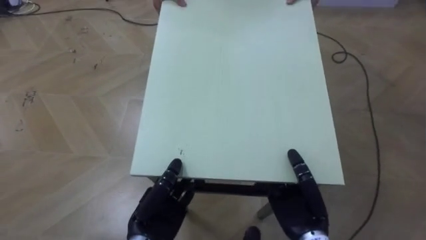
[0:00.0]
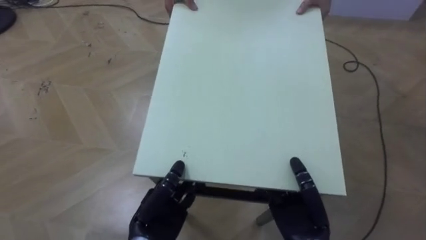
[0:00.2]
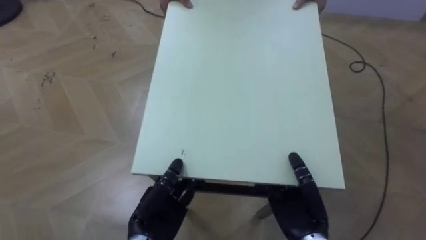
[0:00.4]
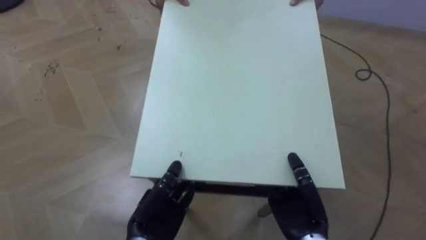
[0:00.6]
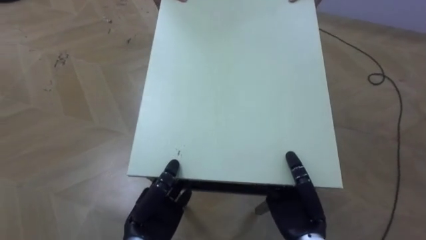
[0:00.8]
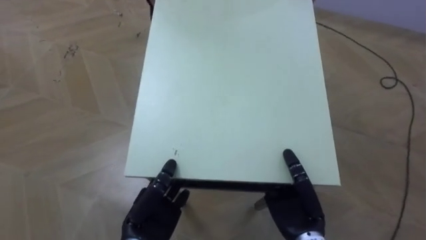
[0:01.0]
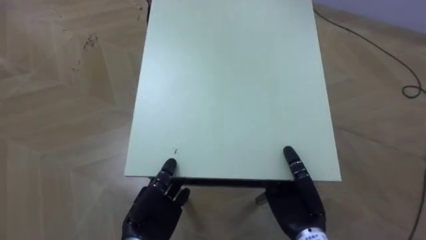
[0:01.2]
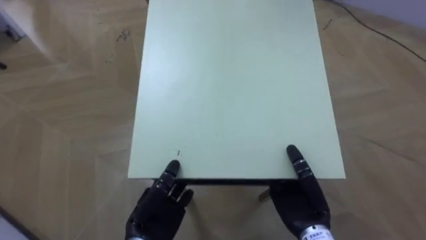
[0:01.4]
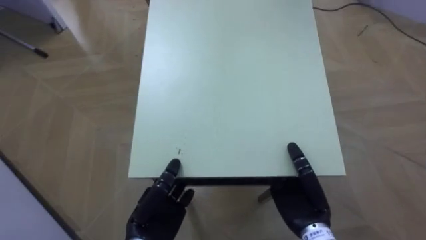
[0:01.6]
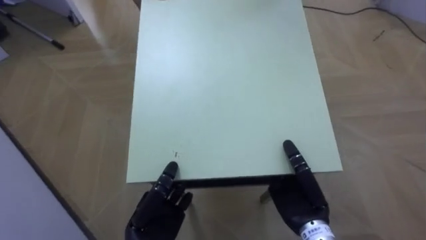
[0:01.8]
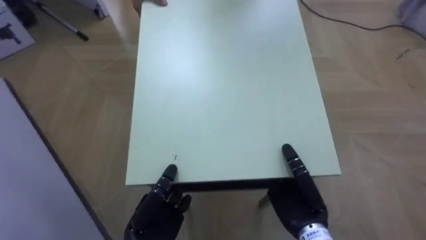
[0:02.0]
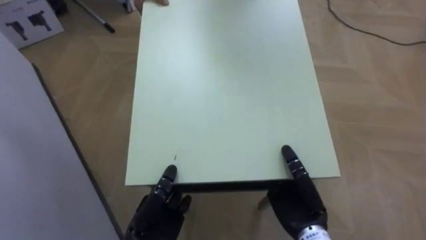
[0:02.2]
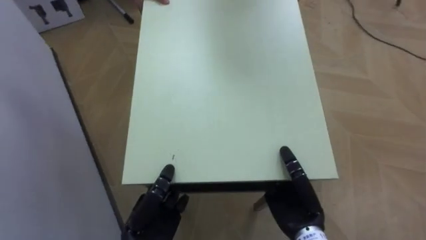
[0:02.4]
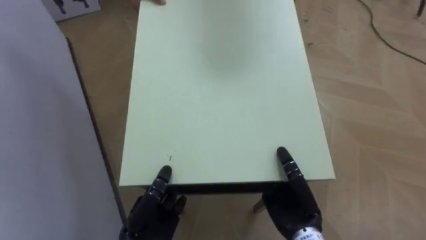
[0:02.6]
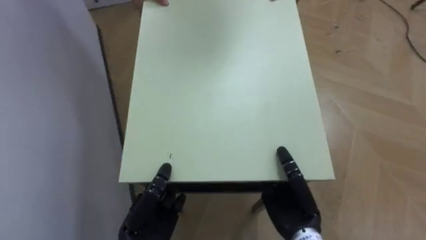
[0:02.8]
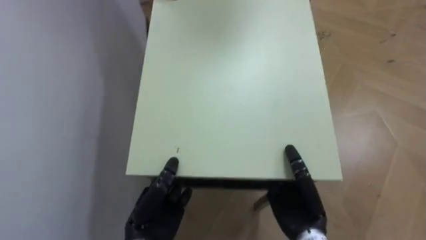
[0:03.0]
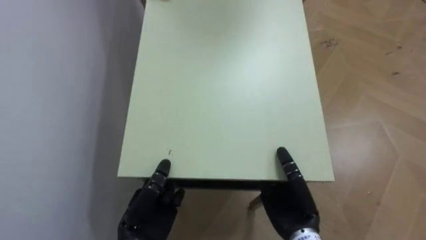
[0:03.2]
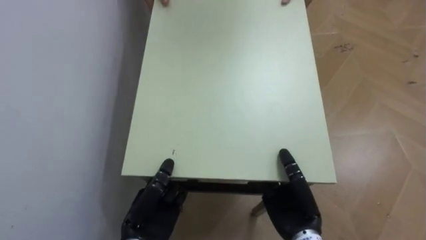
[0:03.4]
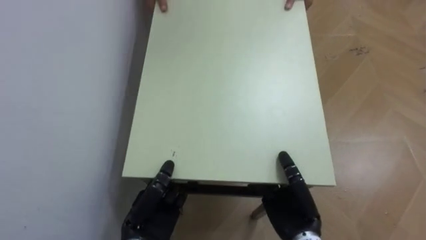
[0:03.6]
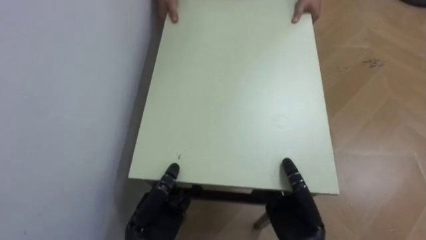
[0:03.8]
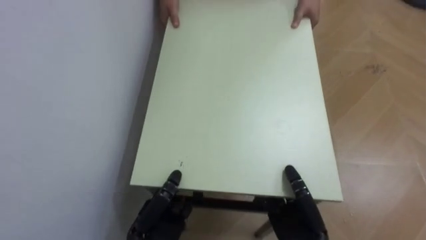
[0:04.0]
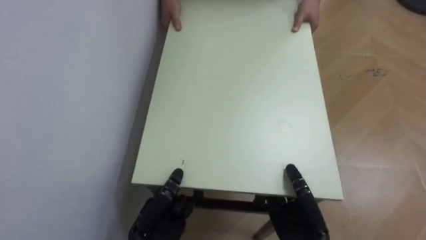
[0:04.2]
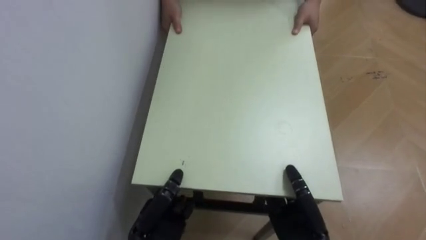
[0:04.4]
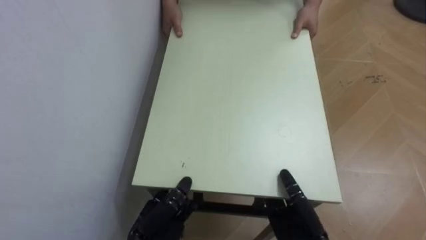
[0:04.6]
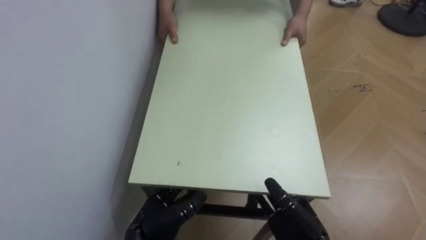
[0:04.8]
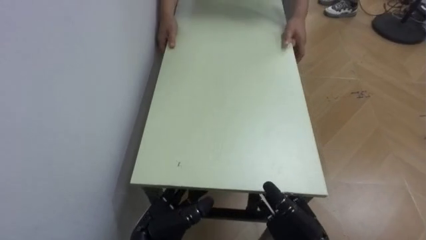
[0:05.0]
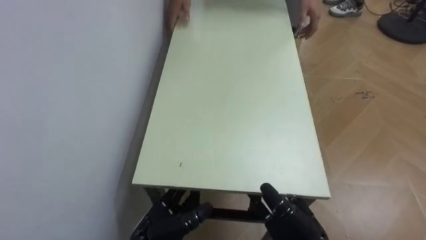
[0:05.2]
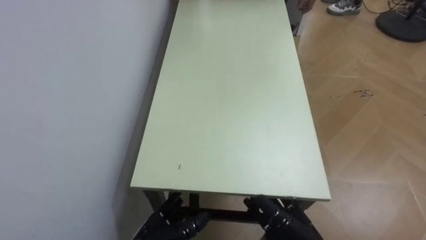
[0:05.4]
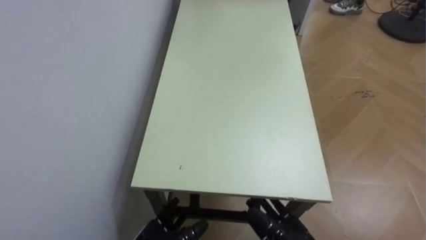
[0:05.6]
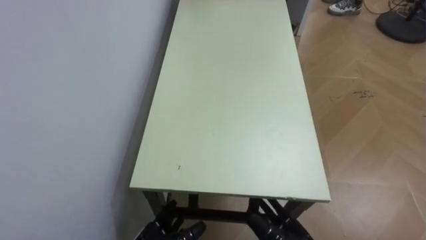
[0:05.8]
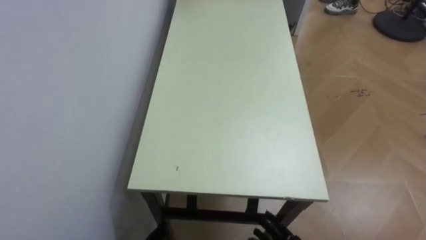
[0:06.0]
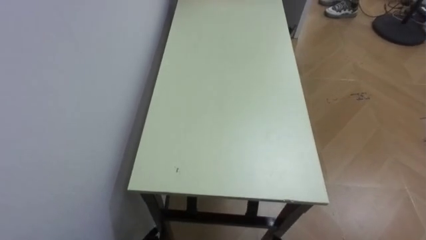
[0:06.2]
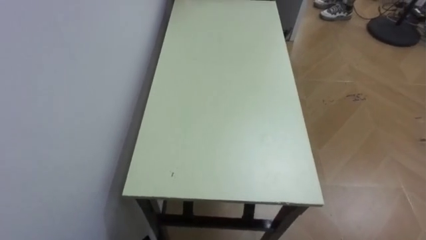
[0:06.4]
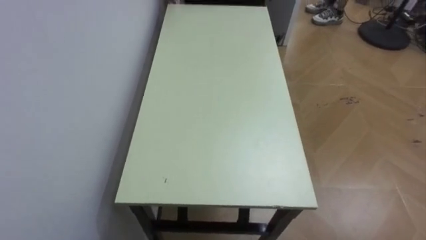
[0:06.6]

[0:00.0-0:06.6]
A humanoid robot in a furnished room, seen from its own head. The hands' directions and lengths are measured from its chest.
Task of the whole recording: Move the table to the back left with someone.
0:00.0 to 0:01.6: The robot faces about 30 degrees further to its left.
0:01.6 to 0:03.2: The robot faces approximately 45 degrees further to its left.
0:03.2 to 0:05.0: The left hand opens; the right hand opens.

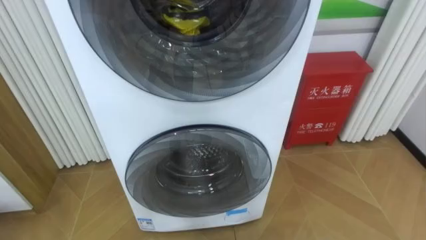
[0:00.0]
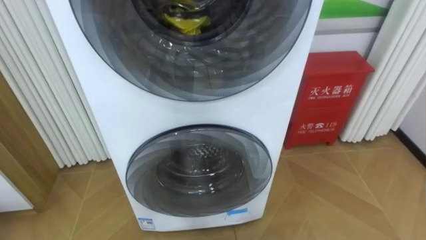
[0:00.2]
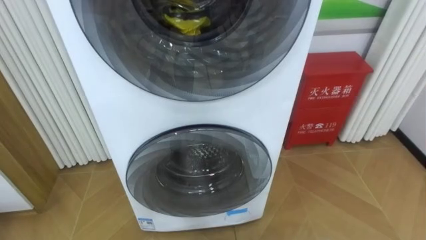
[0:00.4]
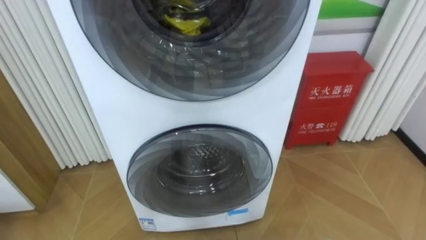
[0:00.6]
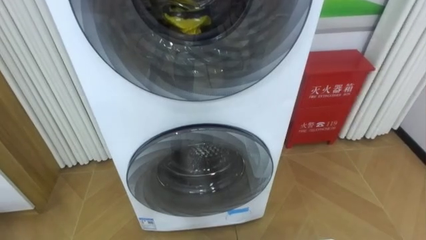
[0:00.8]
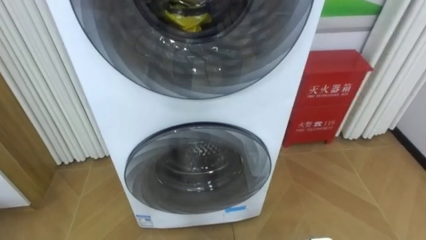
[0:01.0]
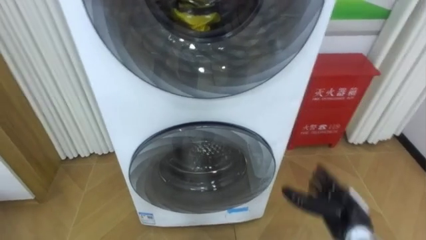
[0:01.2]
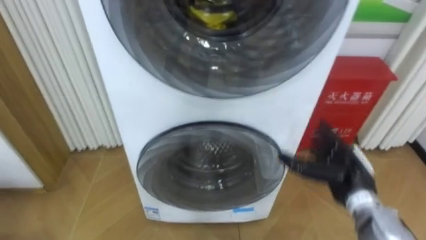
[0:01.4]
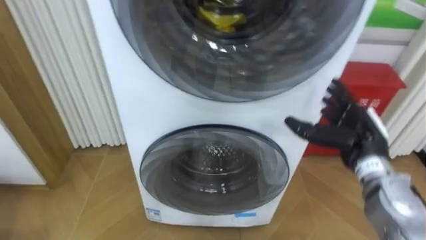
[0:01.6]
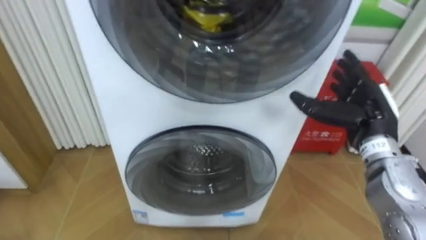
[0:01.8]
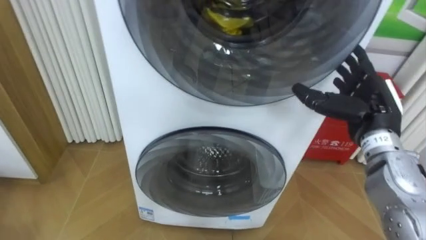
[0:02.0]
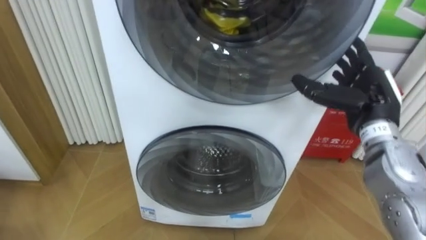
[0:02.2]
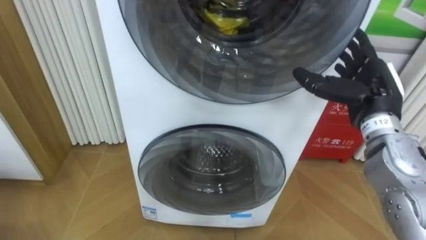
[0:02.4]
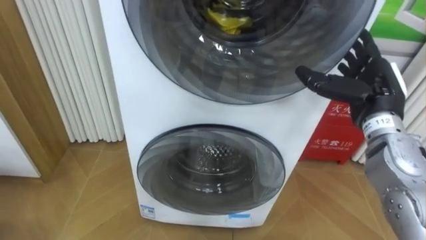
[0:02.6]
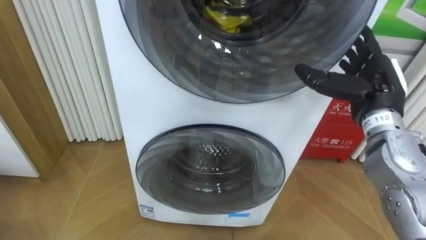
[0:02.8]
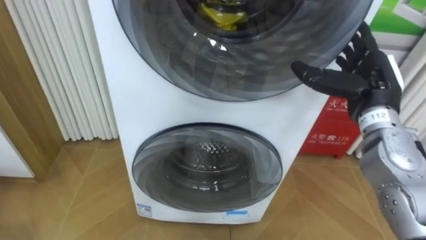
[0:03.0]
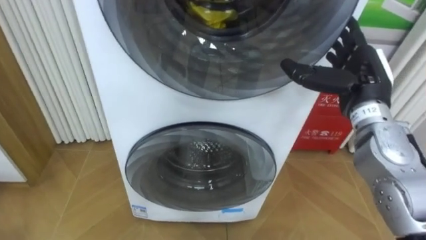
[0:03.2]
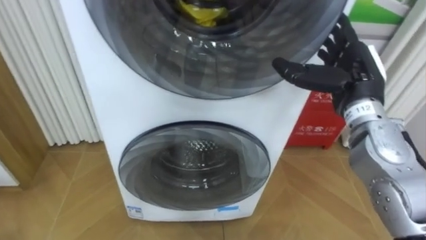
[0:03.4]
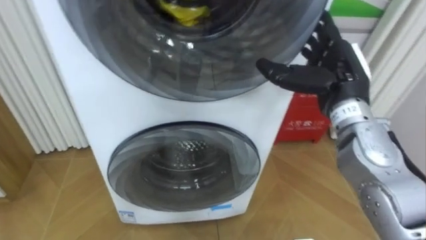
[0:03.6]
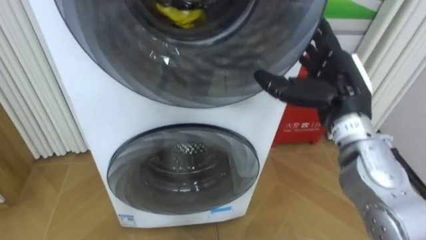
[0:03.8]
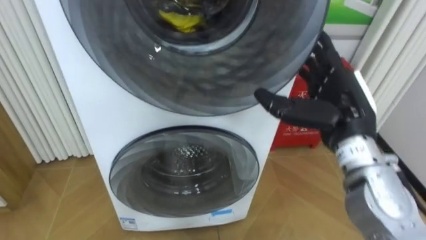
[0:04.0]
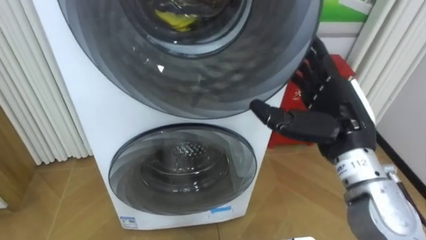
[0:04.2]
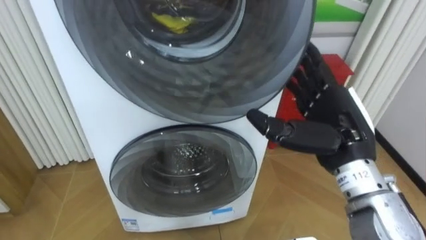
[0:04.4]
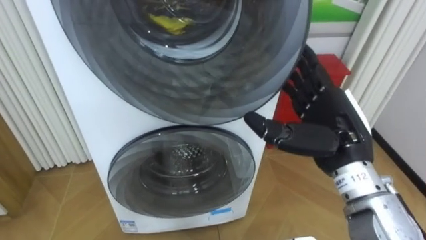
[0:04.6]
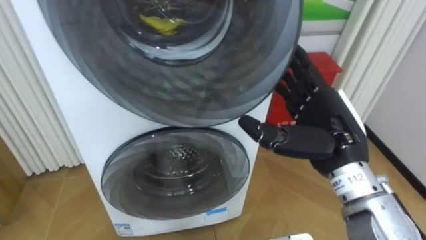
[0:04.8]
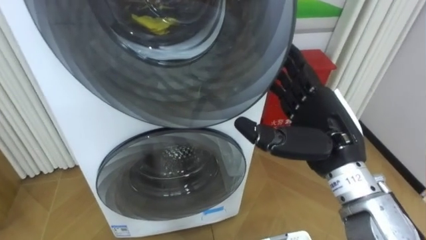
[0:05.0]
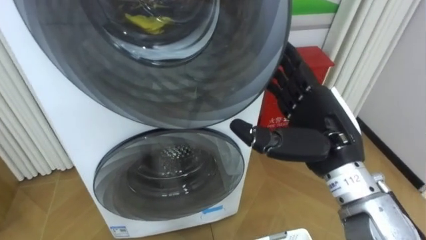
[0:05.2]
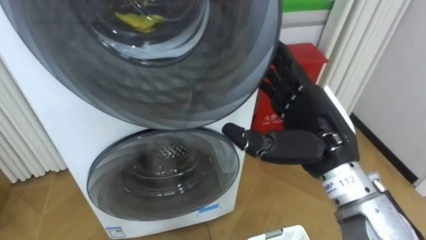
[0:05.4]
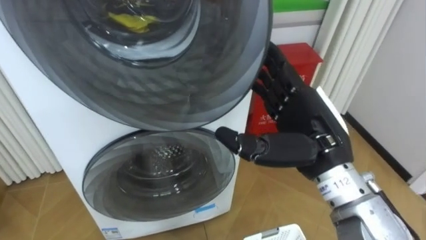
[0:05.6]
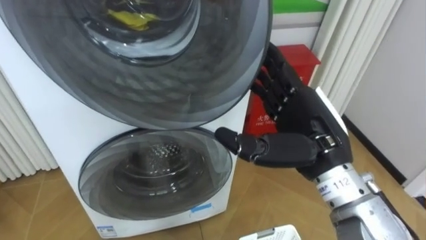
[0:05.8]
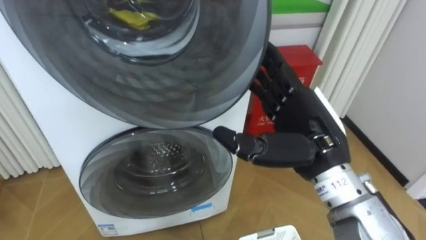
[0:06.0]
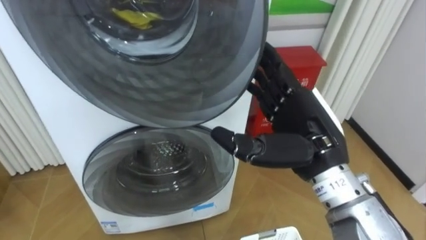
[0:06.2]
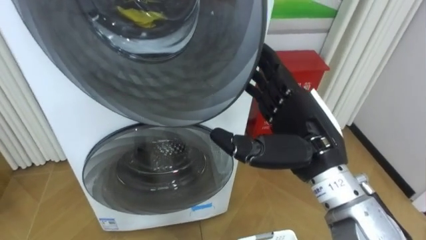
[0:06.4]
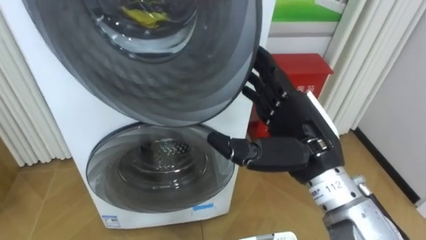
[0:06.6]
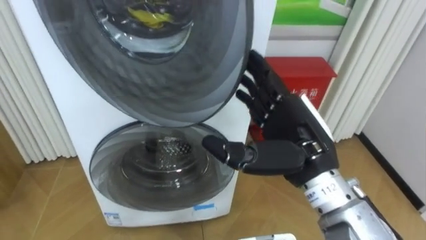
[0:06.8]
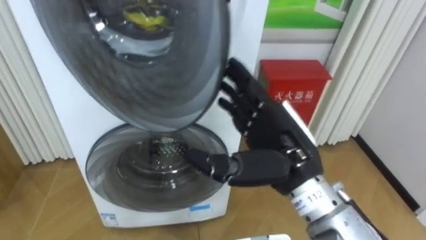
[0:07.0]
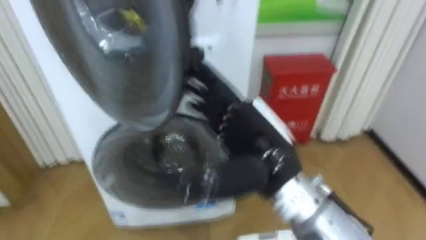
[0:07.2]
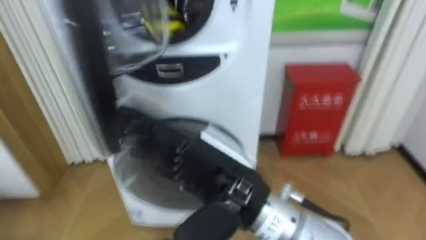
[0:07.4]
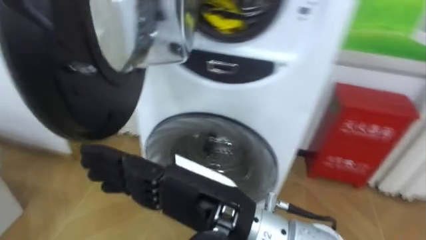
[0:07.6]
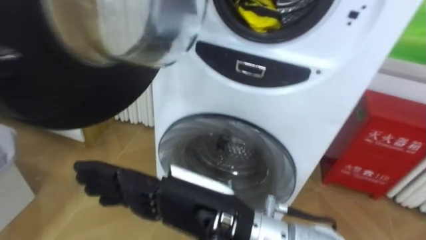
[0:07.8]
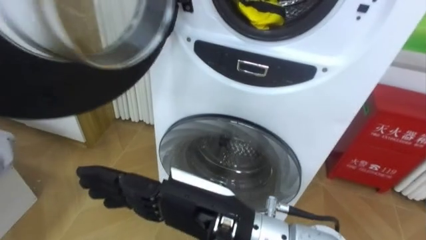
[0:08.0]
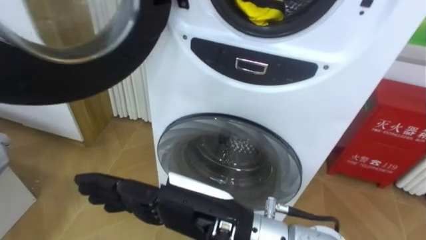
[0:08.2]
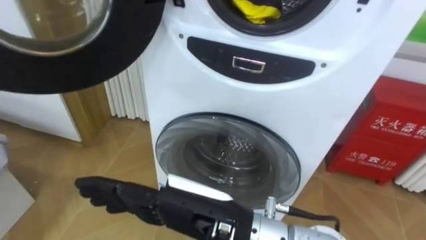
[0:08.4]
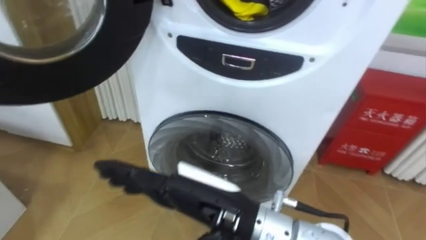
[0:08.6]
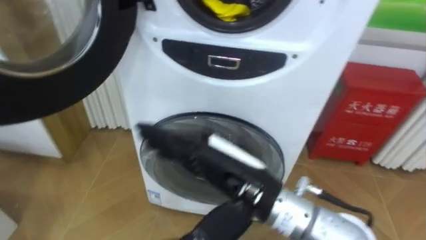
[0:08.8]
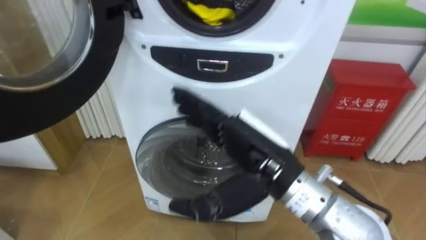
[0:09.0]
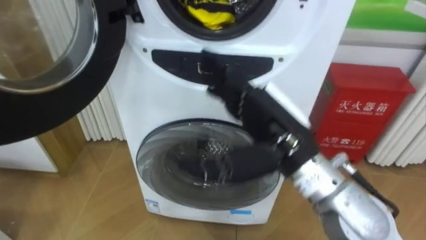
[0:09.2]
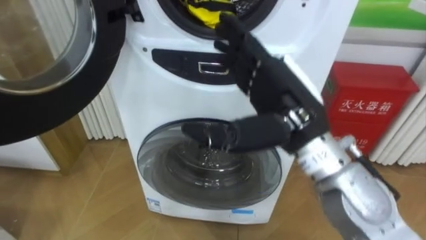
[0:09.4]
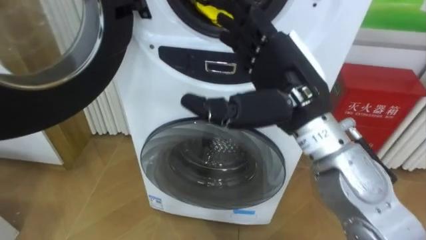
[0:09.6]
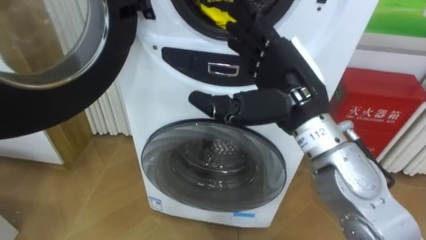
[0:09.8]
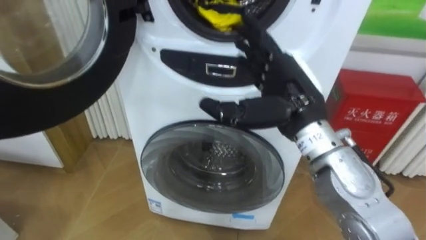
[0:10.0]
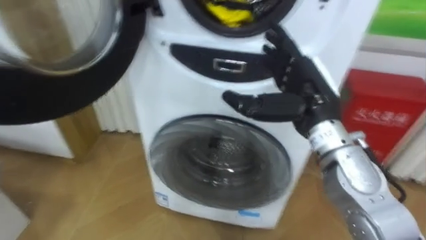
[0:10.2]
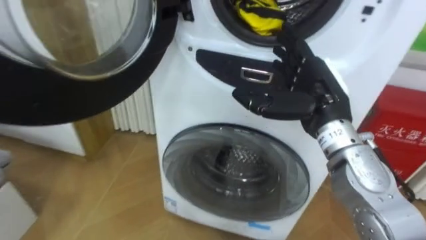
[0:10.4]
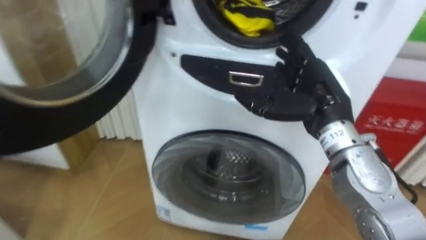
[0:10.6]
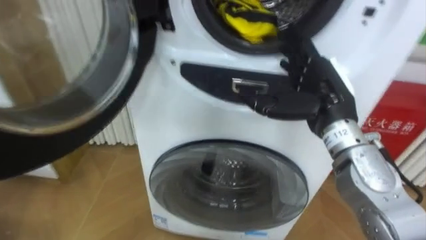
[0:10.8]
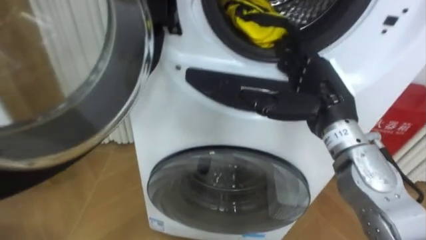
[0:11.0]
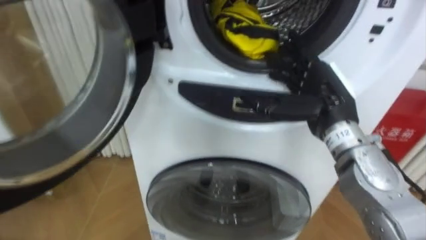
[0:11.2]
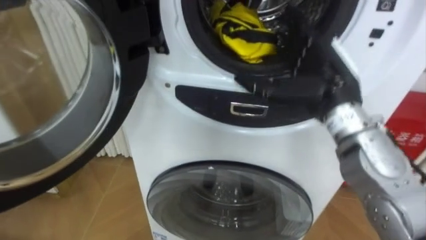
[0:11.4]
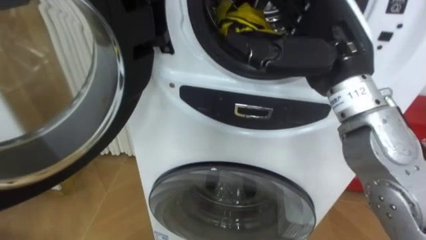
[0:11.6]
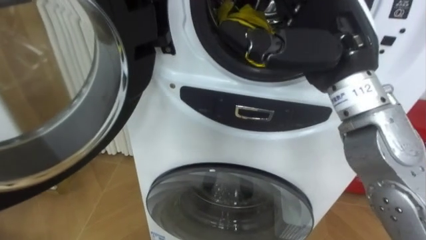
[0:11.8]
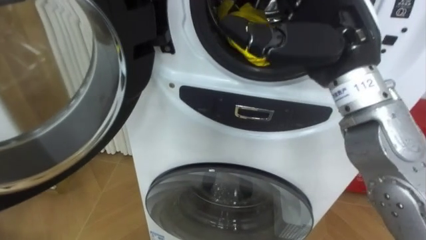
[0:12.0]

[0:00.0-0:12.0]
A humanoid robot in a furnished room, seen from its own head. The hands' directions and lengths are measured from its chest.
Task of the whole recording: Open the washing machine door, take out the yellow clothes, place them in the box on the right, and close the washing machine door.
0:01.6 to 0:03.0: The right hand heads upward, covering some 10 cm.
0:03.0 to 0:04.4: The right hand is displaced backward and to the left by approximately 10 cm.
0:04.4 to 0:06.0: The right hand moves some 5 cm.
0:06.0 to 0:07.6: The right hand shifts some 15 cm to the left and backward.
0:07.6 to 0:09.0: The right hand shifts some 10 cm to the right and forward.
0:09.0 to 0:10.4: The right hand travels to the right and forward by roughly 15 cm.
0:10.4 to 0:12.0: The right hand shifts approximately 10 cm upward.
